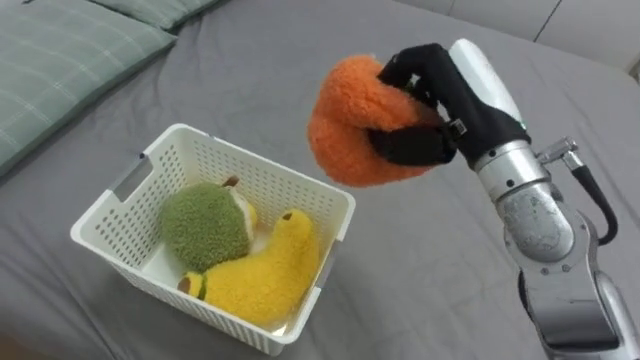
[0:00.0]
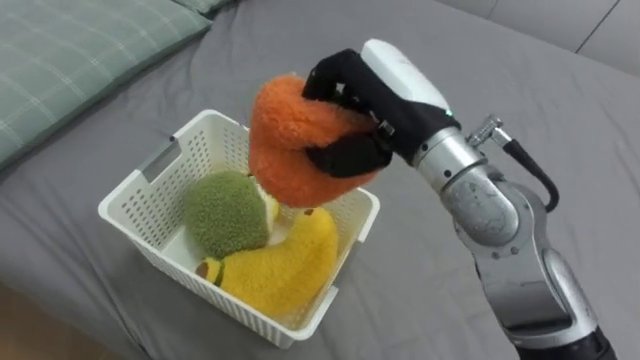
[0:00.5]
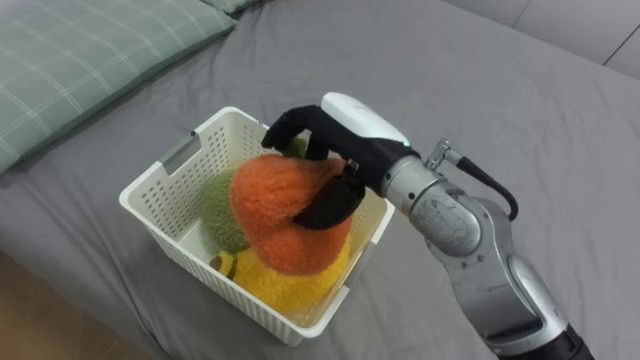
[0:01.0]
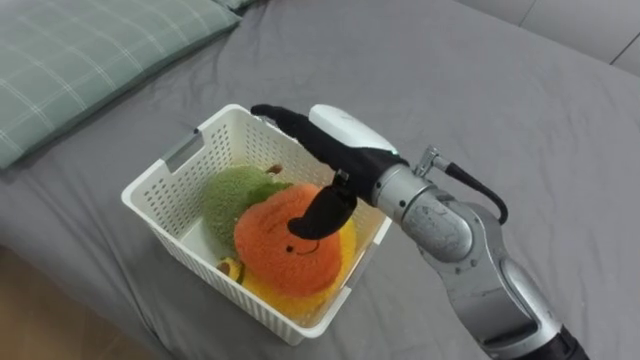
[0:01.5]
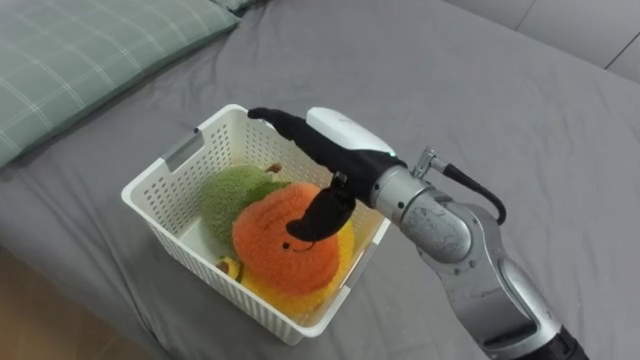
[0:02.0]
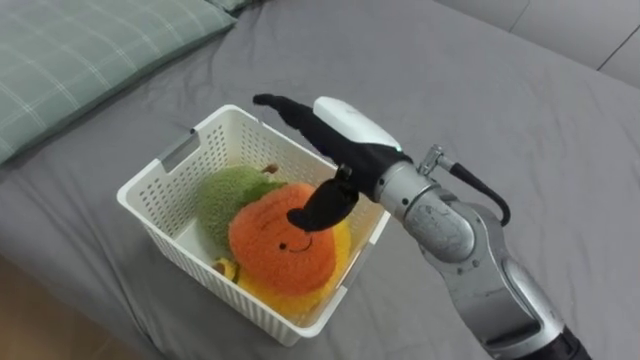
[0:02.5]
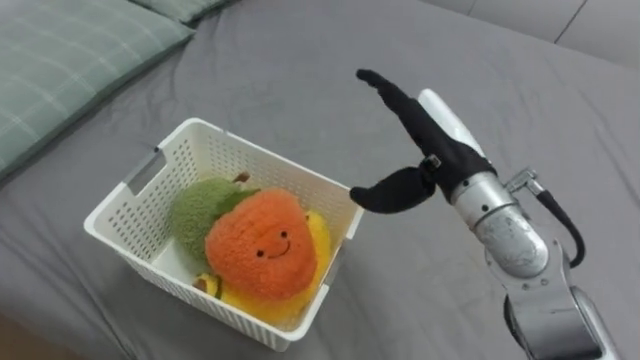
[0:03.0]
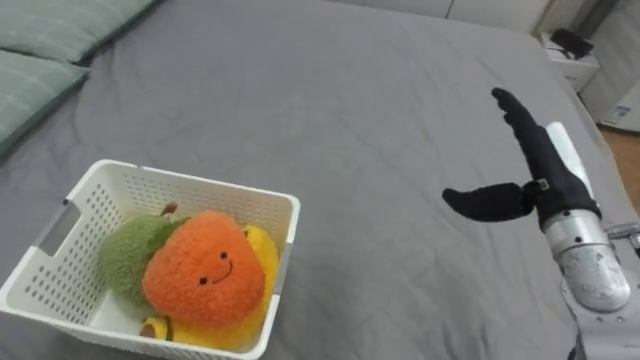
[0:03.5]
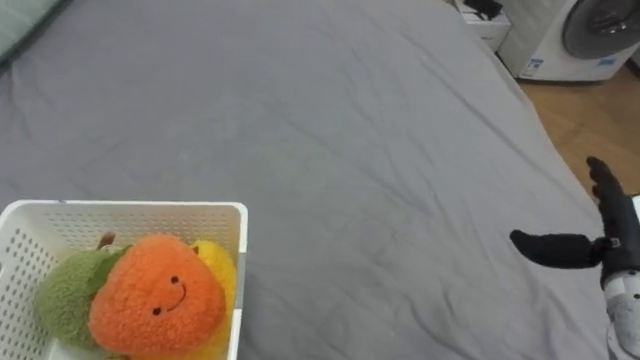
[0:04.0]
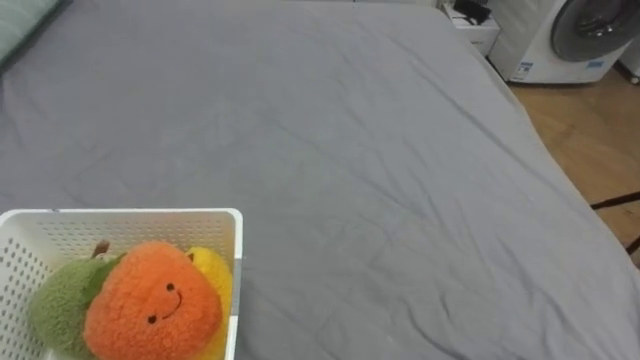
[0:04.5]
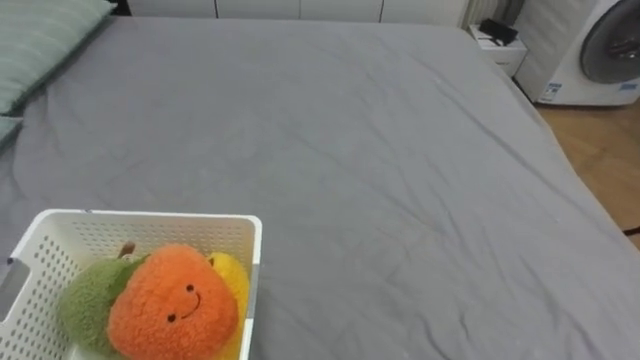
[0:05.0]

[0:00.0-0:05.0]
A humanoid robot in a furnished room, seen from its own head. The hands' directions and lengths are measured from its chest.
Task of the whole recording: Put the toys on the bed into the basket on the left.
0:00.0 to 0:02.5: The right hand moves to the left, about 10 cm, and opens up.

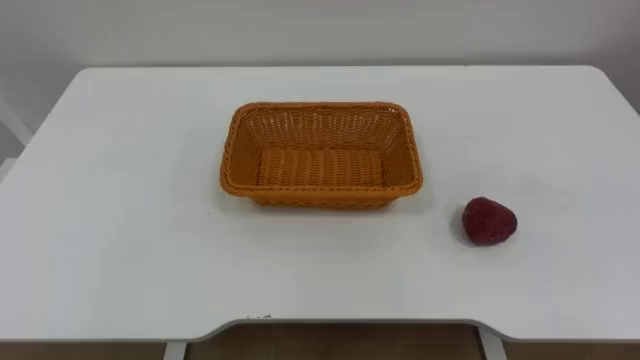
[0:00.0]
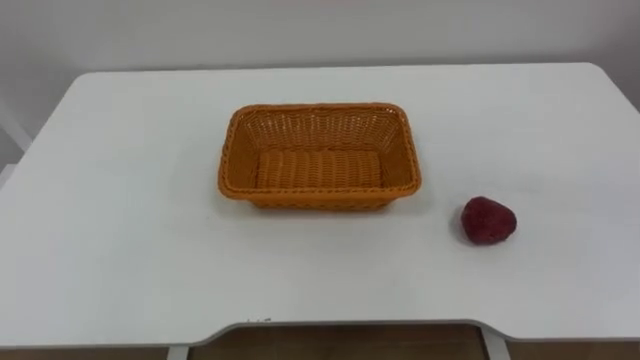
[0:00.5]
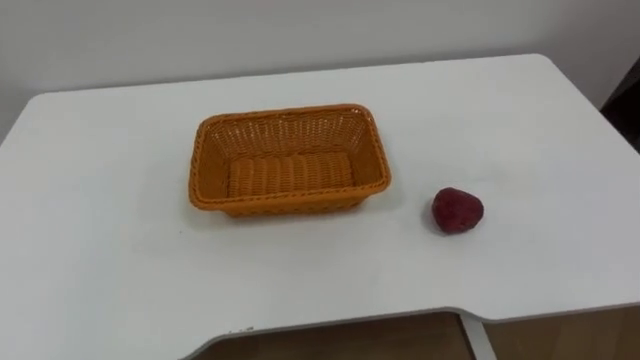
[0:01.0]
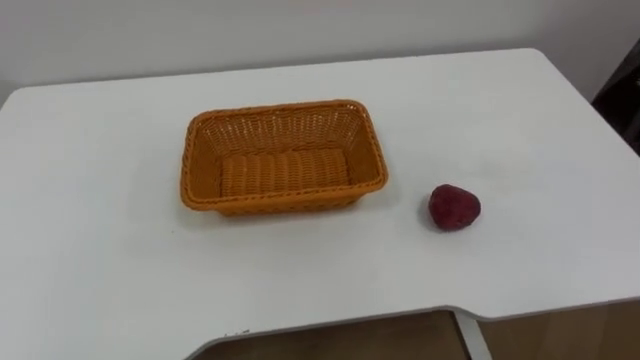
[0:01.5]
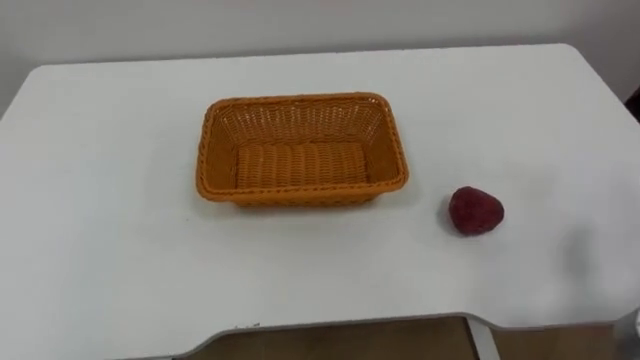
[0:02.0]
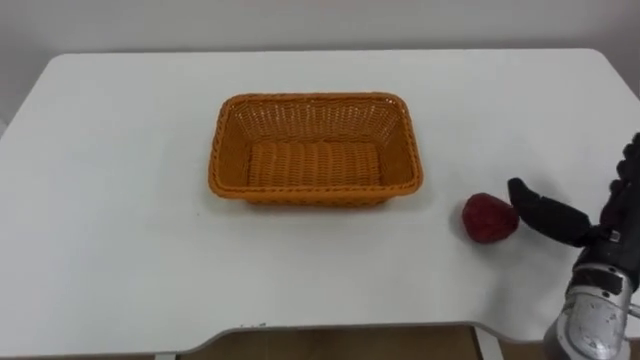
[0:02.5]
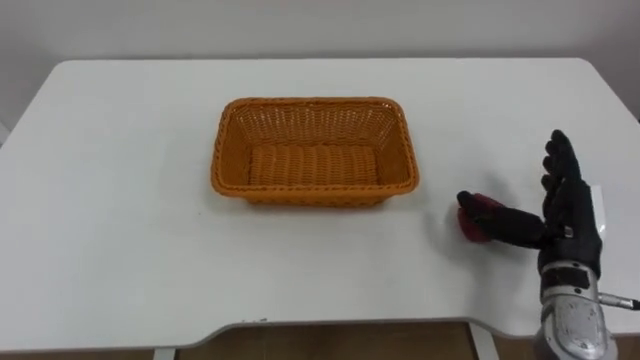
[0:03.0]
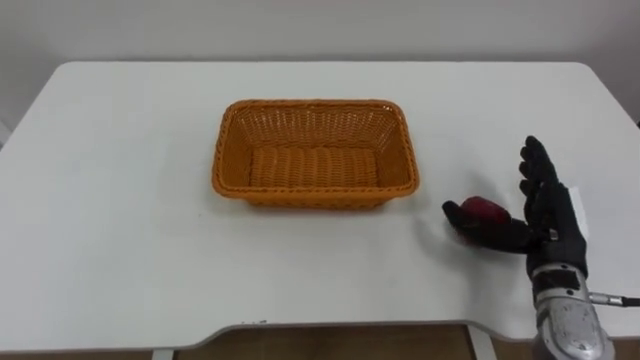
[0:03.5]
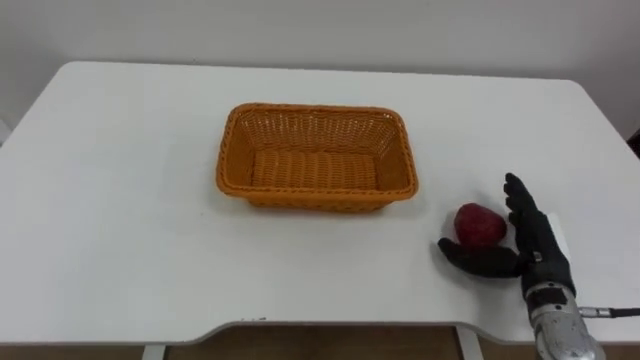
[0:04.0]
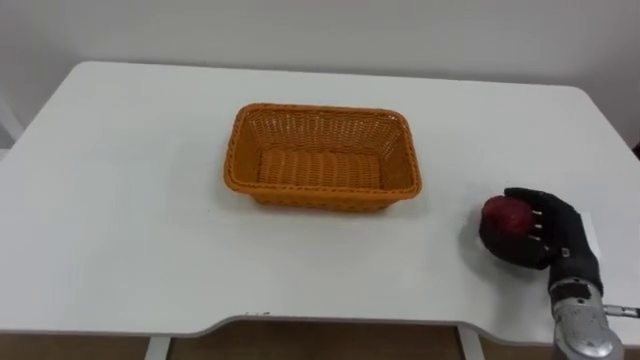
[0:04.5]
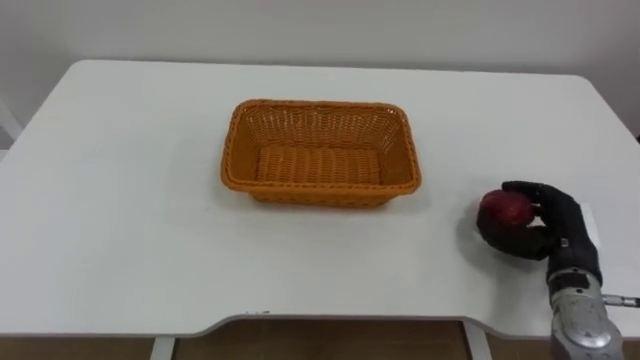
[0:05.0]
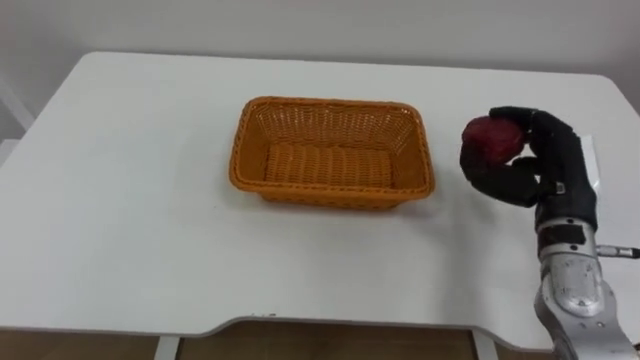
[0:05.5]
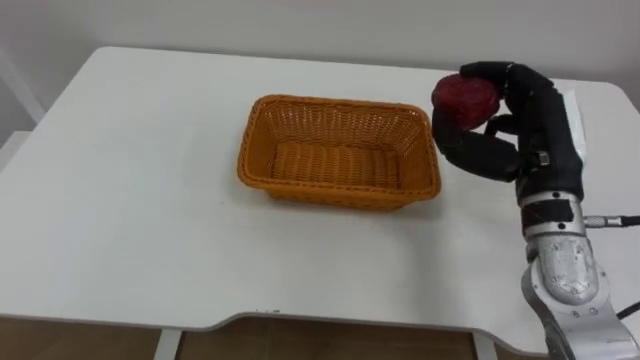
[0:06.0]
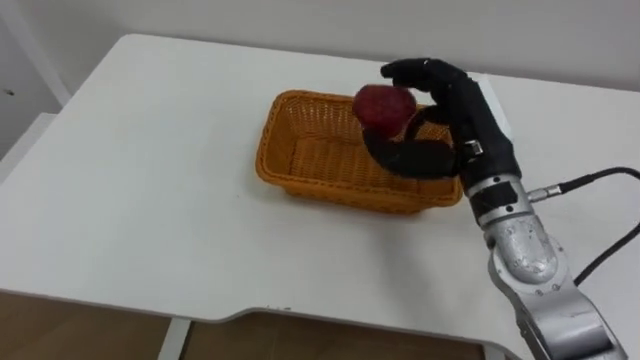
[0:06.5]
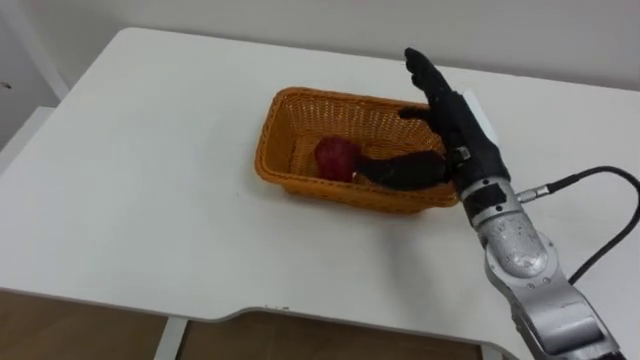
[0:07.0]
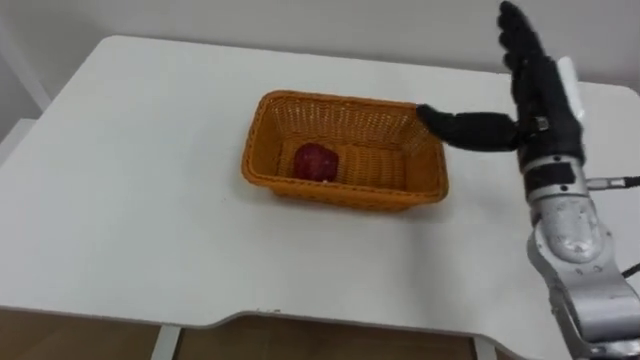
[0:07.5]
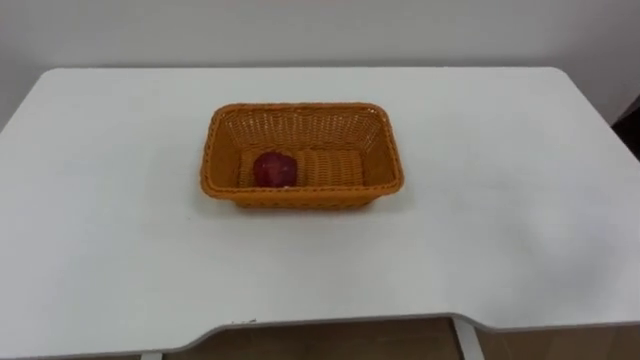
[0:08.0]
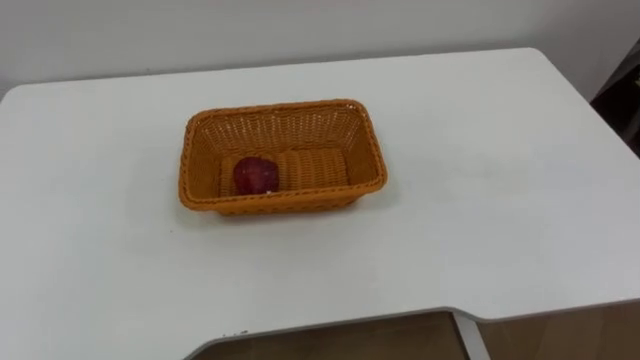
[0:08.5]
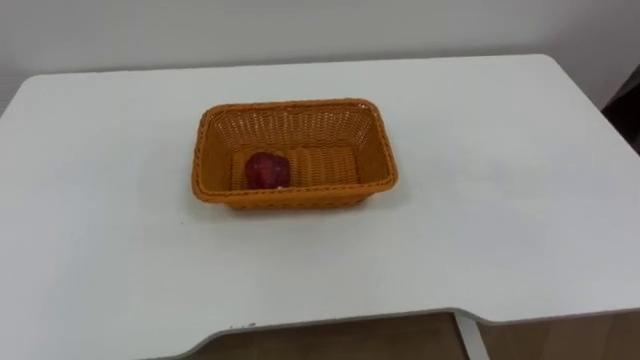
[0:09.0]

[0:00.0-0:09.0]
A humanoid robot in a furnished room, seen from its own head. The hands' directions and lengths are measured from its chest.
Task of the whole recording: Pick the apple and place it in the box.
0:04.5 to 0:07.0: The right hand moves to the left, upward and forward, approximately 20 cm.

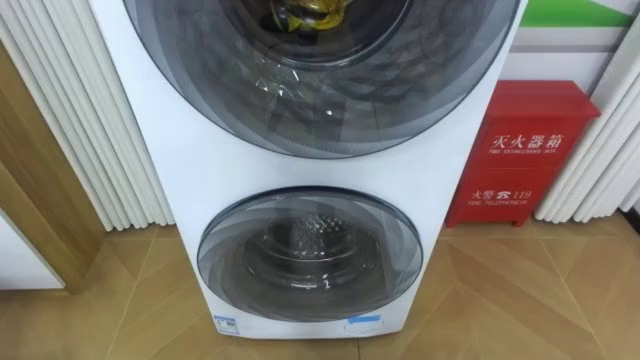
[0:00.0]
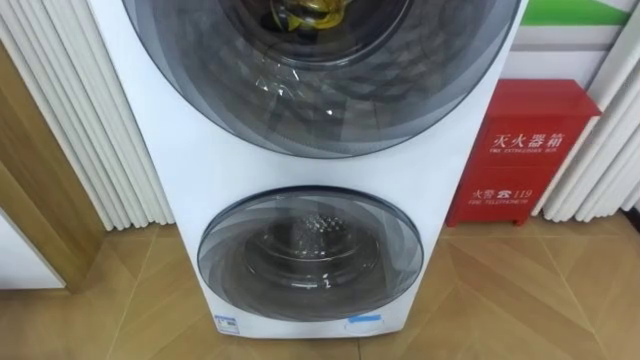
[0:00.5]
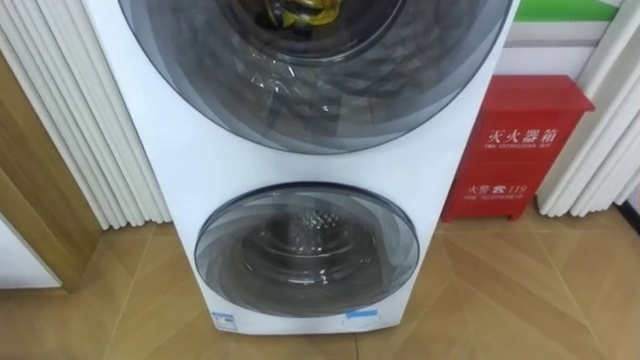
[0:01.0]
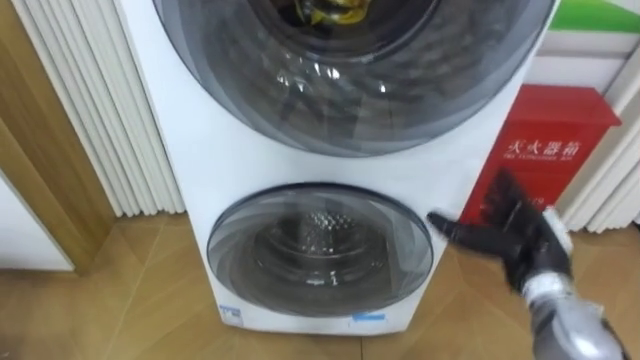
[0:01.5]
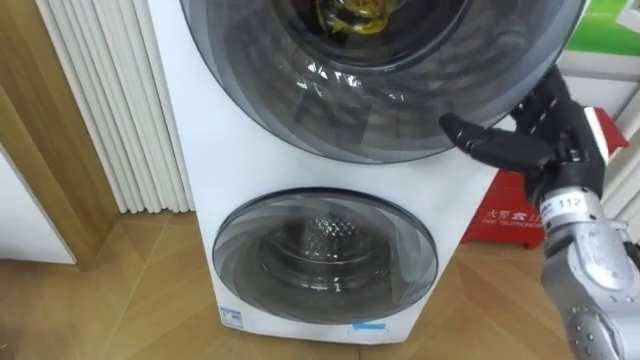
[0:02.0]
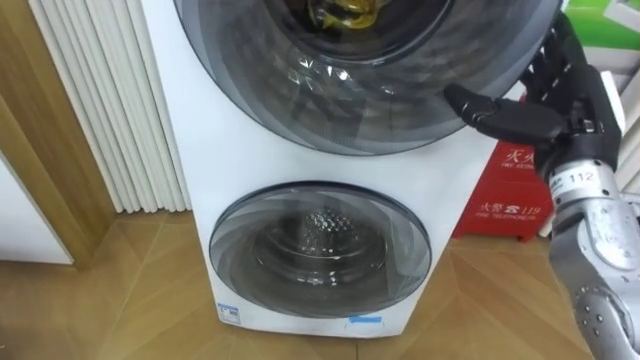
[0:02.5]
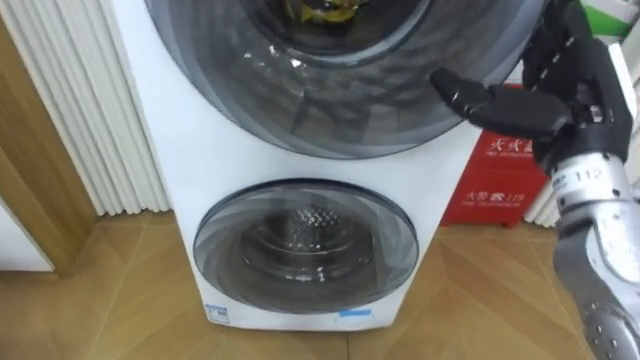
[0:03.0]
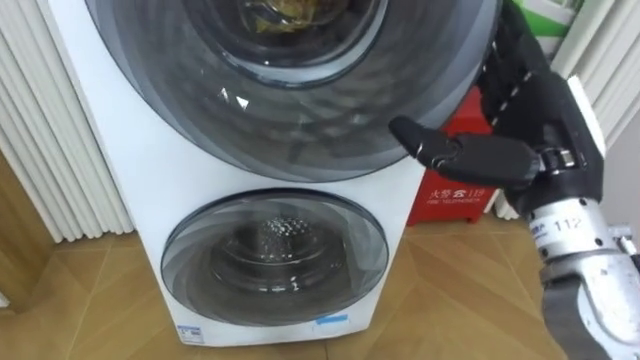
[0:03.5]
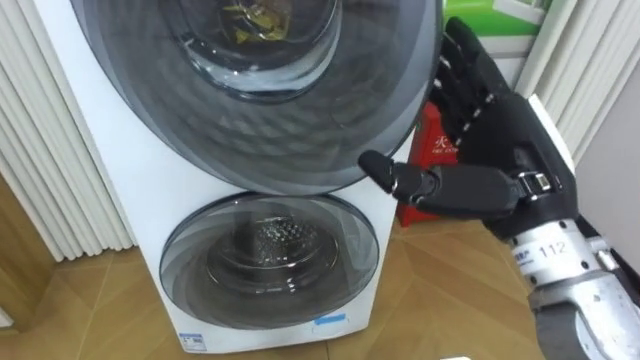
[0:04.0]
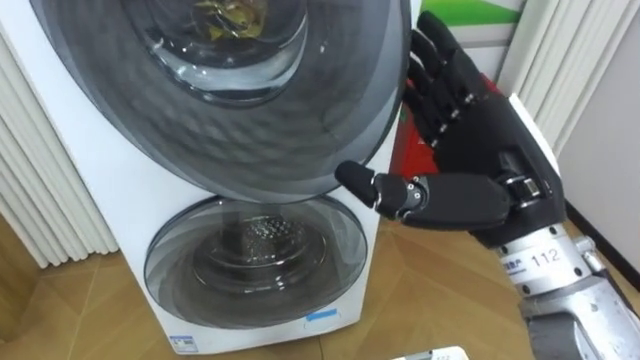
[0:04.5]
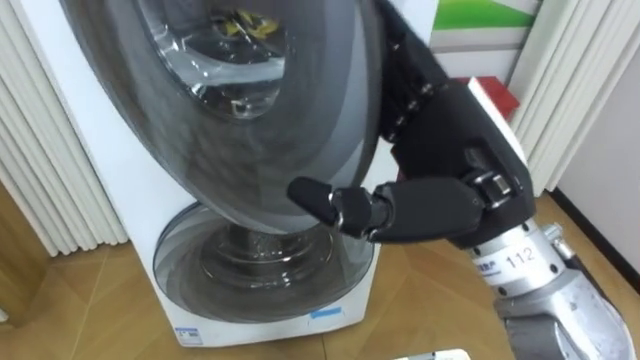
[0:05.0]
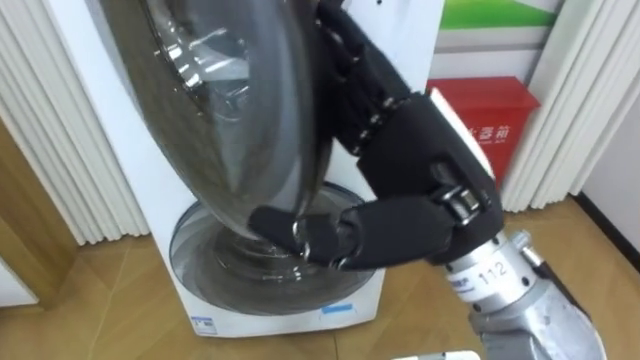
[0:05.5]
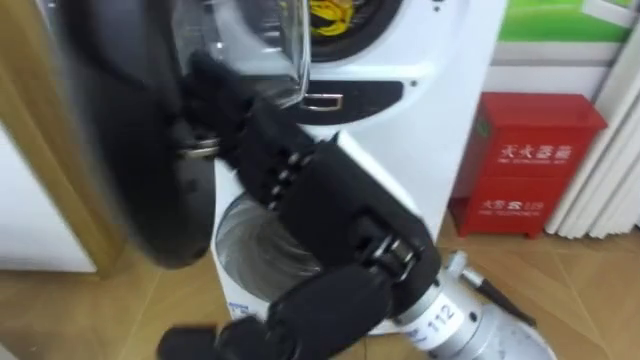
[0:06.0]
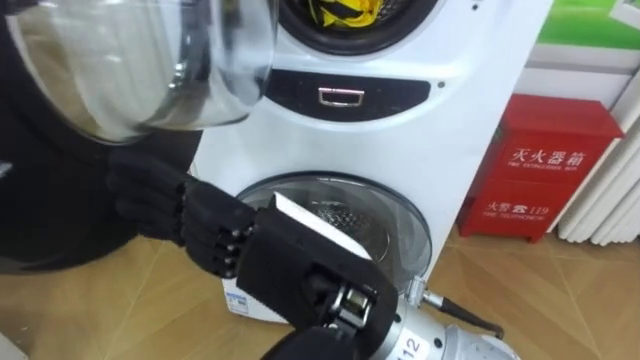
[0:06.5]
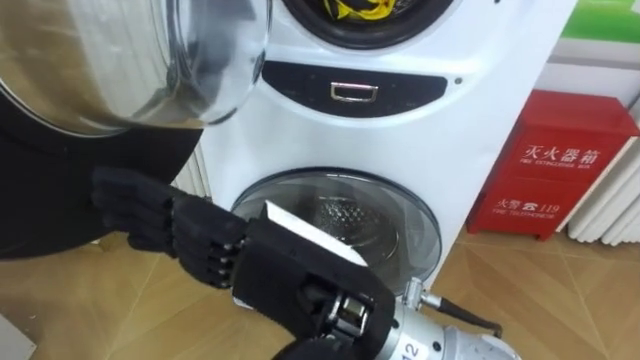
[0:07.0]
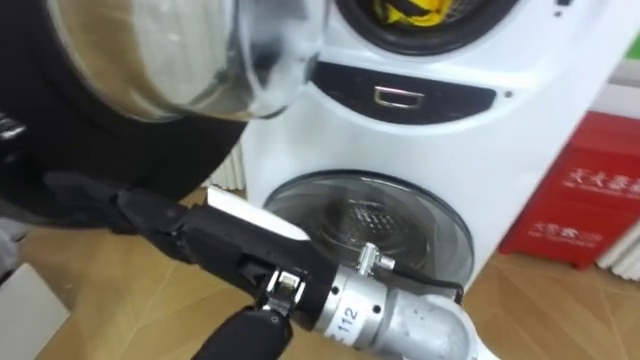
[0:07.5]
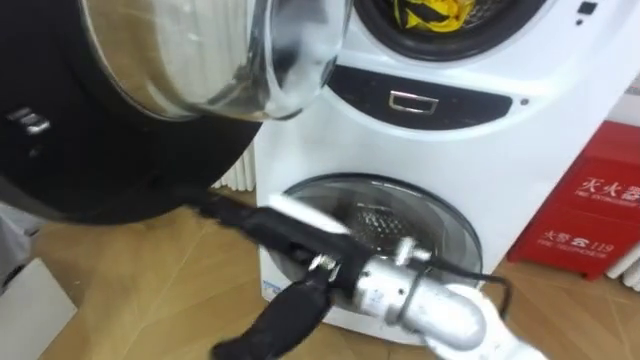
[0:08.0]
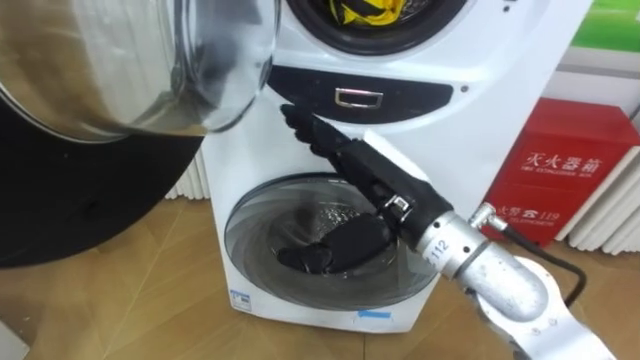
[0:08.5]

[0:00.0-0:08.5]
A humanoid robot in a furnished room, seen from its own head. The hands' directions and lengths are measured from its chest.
Task of the whole recording: Open the washing machine door, take out the yellow clothes, place them in the box on the right, and close the washing machine door.
0:02.0 to 0:04.0: The right hand heads to the left and backward, covering about 10 cm.
0:04.0 to 0:06.5: The right hand travels to the left and backward by roughly 20 cm.
0:06.5 to 0:08.5: The right hand shifts some 15 cm forward and to the right.
